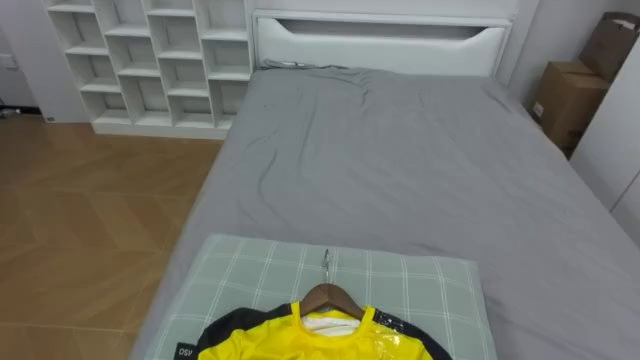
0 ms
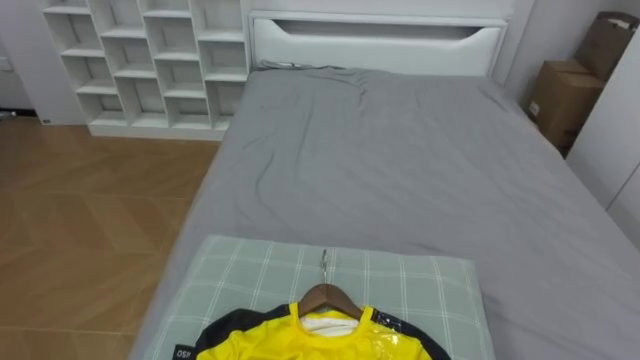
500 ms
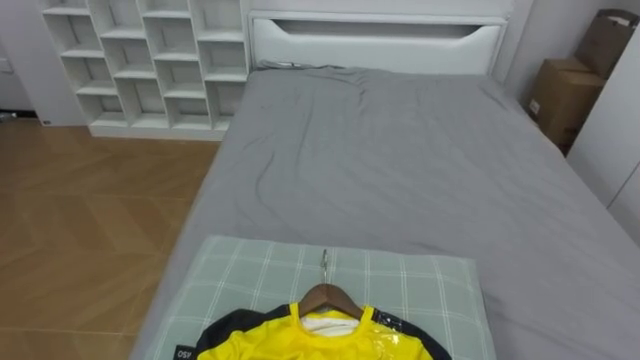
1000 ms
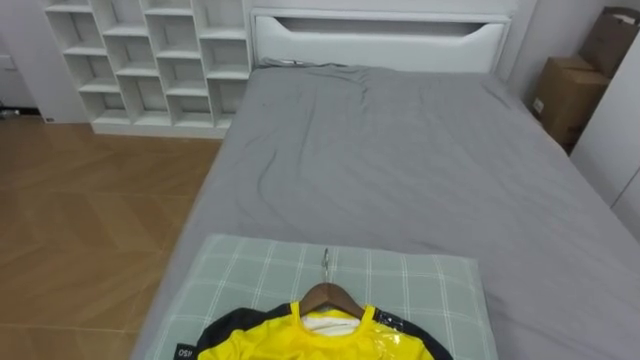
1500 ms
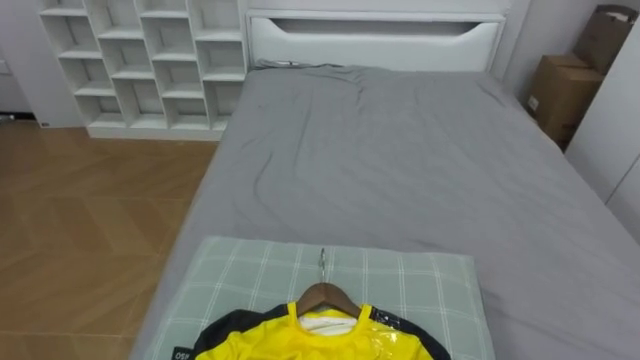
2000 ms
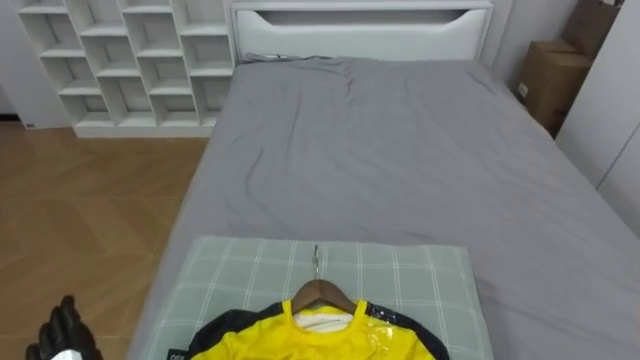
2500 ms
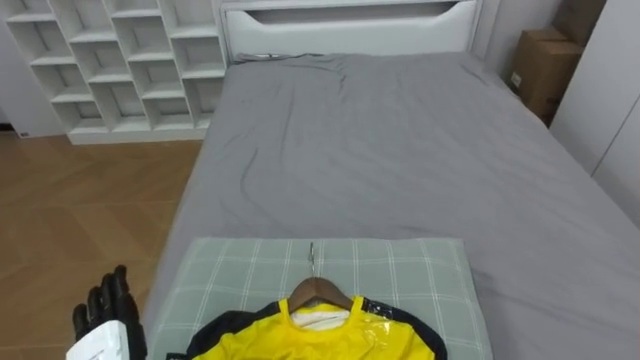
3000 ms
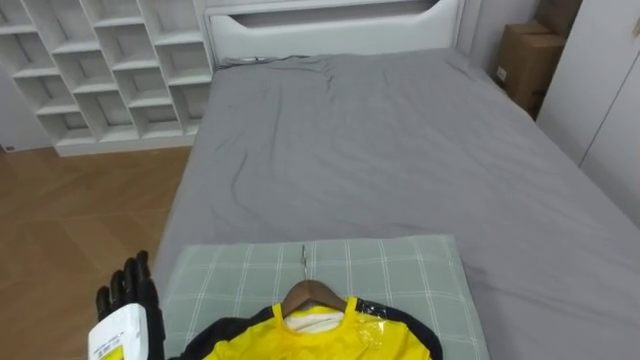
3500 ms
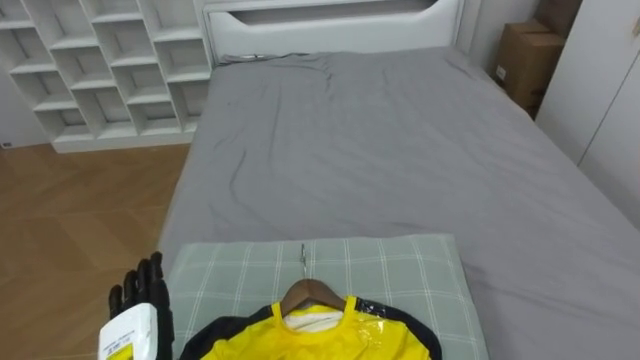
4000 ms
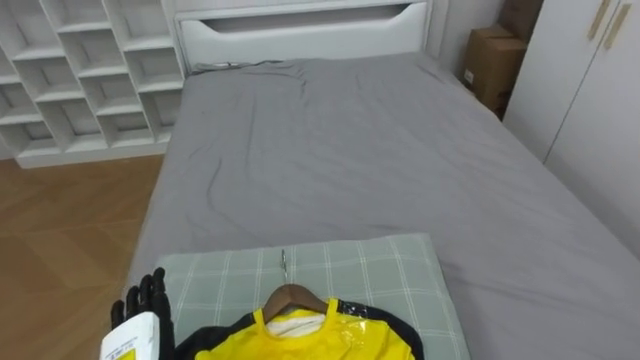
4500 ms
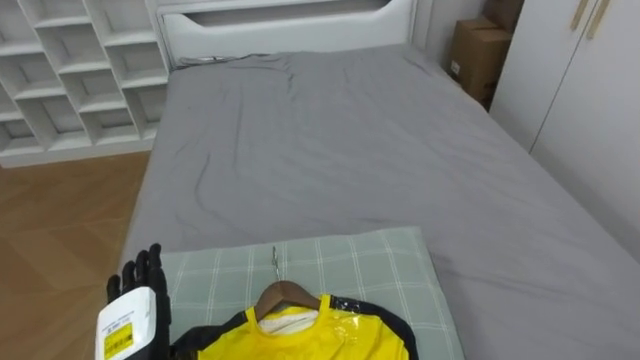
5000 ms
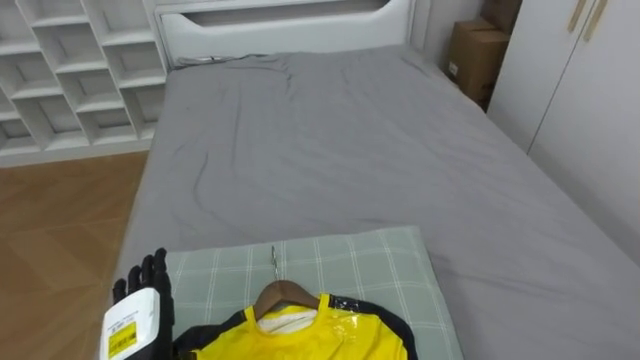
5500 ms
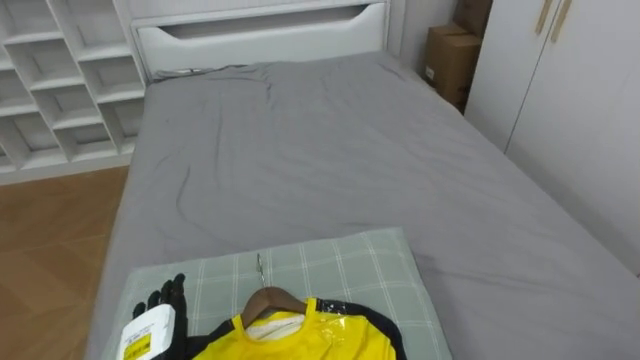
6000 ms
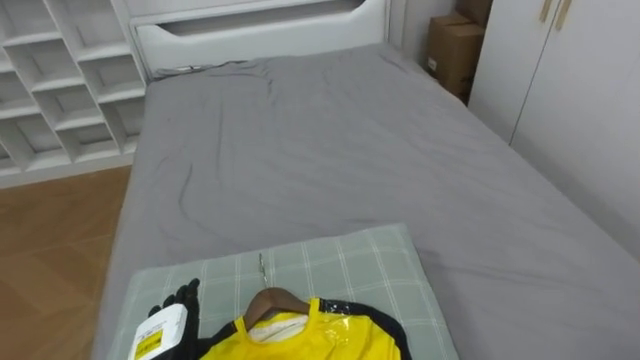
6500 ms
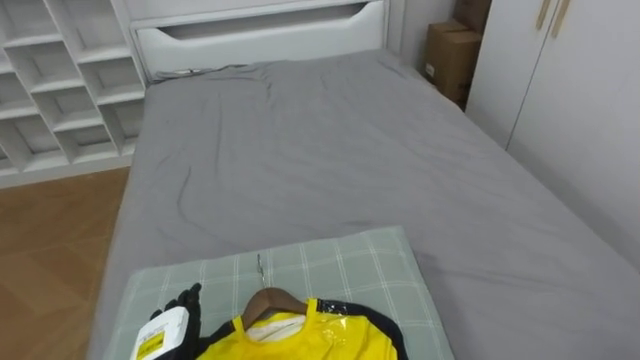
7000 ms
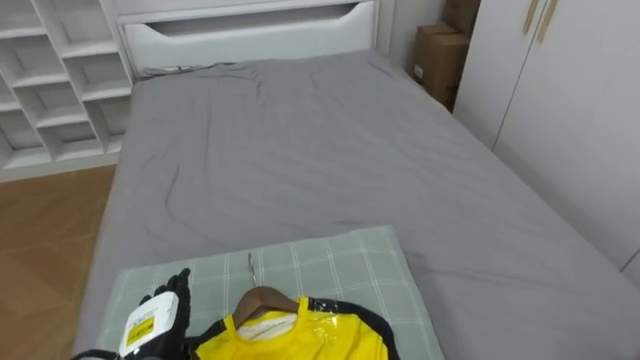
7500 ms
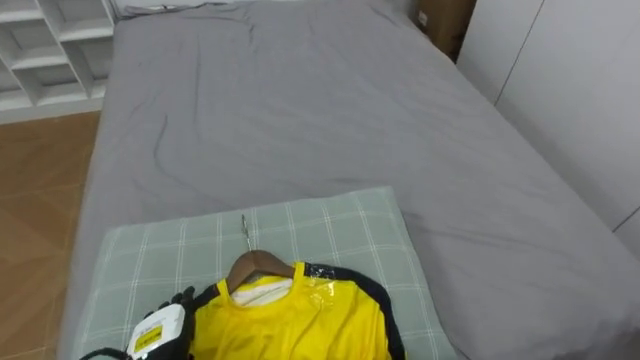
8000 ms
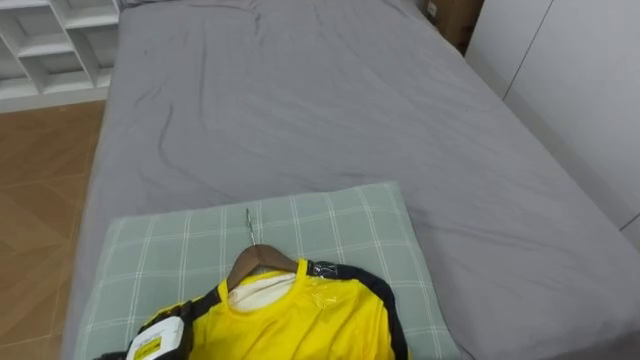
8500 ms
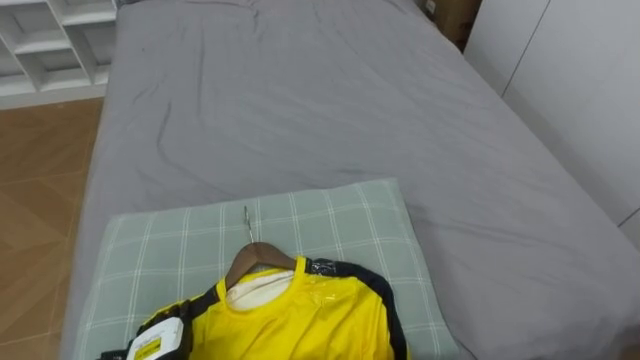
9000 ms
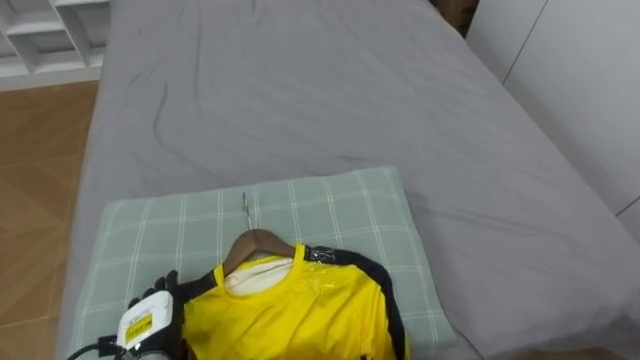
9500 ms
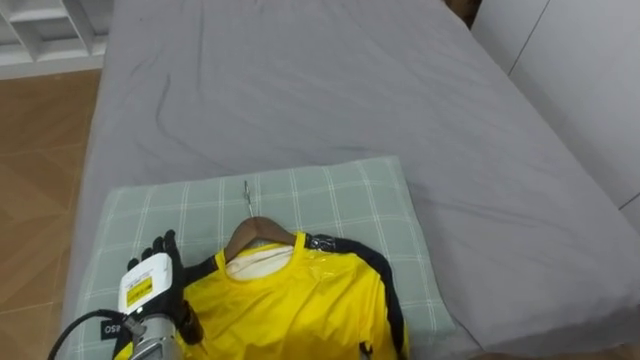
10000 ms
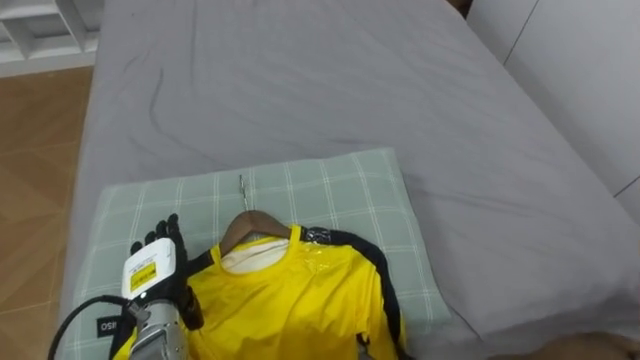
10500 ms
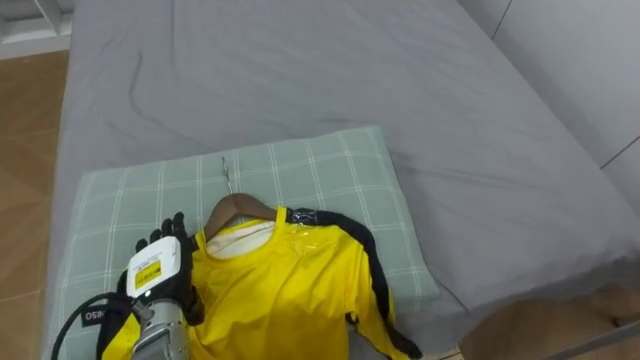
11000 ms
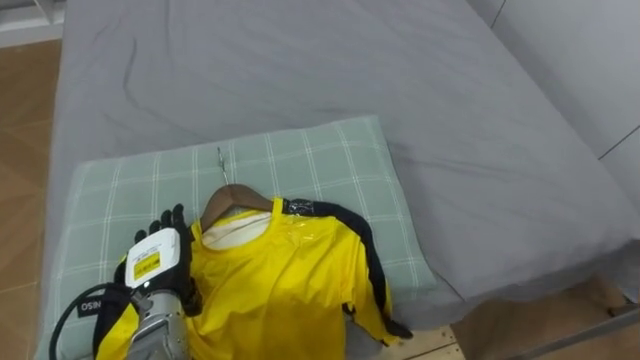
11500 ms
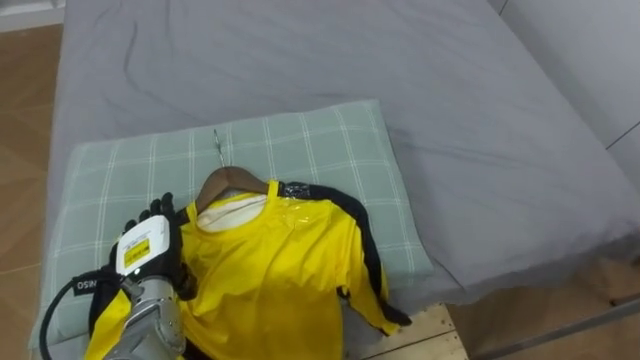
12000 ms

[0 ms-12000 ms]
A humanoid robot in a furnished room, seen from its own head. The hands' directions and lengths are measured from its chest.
Task of the whole recording: Pick up the yellow shirt on the bed and hang it on the clothes rack on the right.
8000 ms to 10000 ms: The left hand moves approximately 5 cm.
10000 ms to 12000 ms: The left hand ends up roughly 5 cm from where it was.

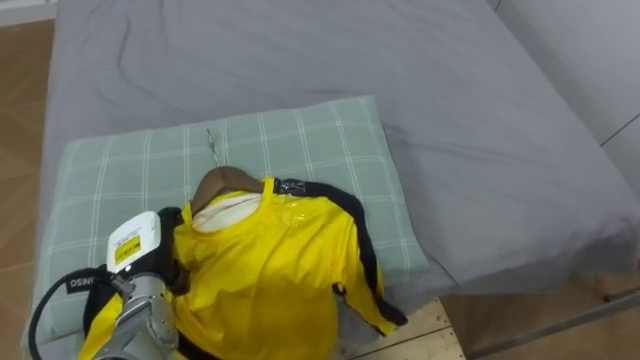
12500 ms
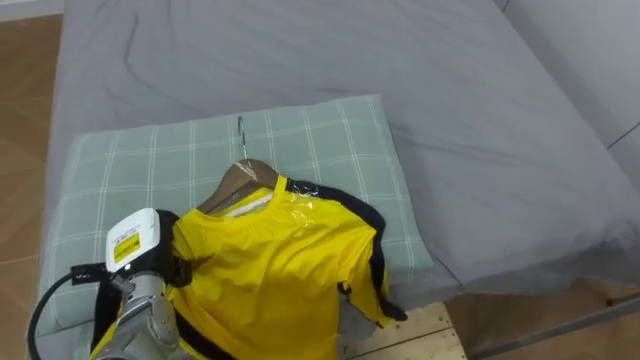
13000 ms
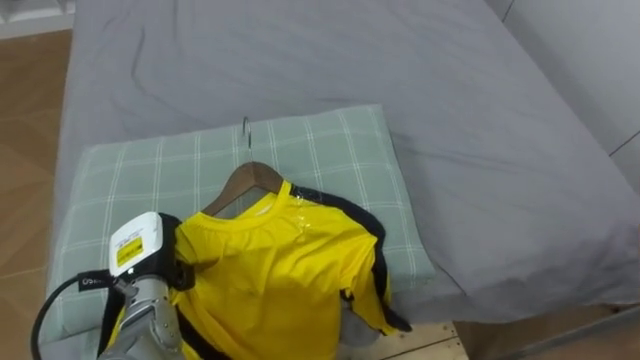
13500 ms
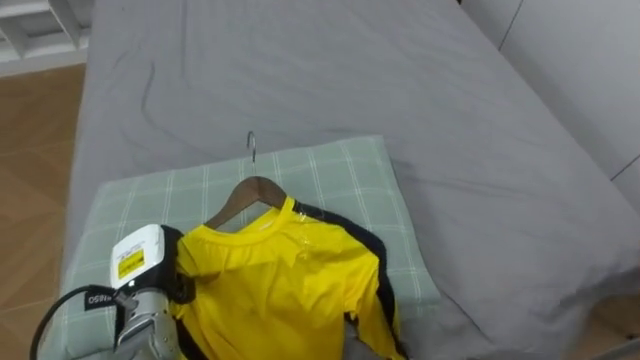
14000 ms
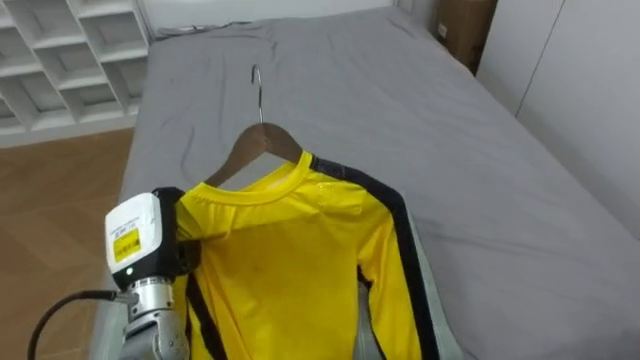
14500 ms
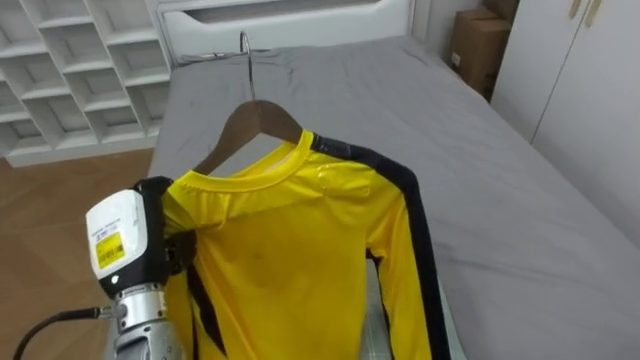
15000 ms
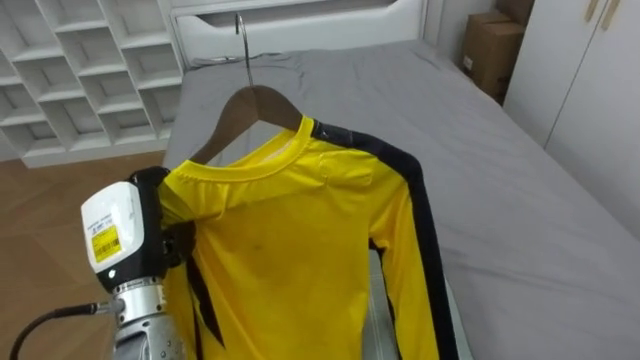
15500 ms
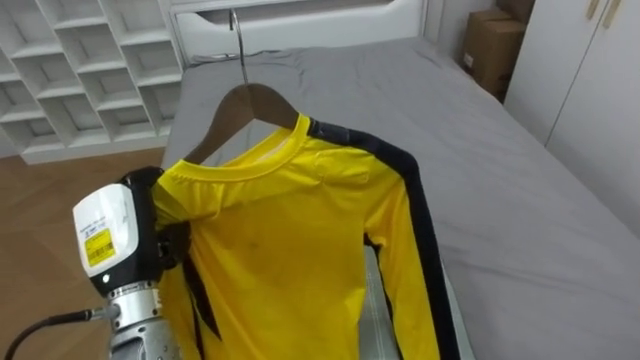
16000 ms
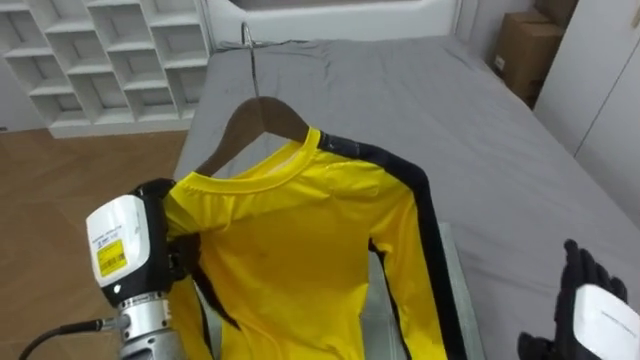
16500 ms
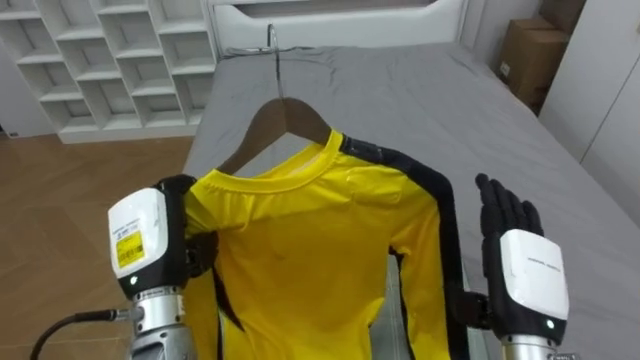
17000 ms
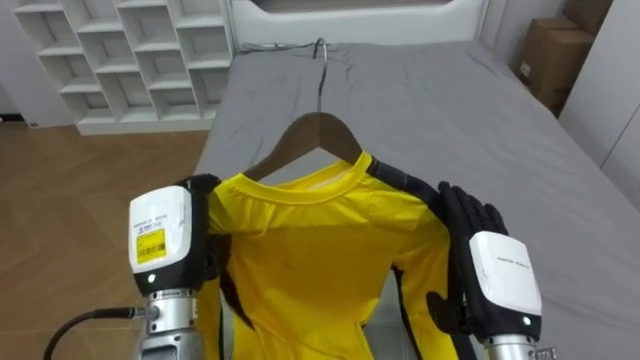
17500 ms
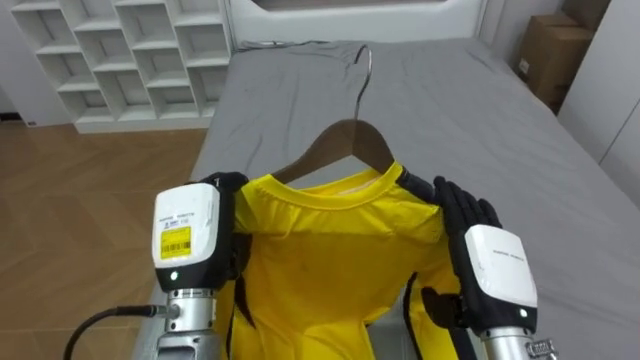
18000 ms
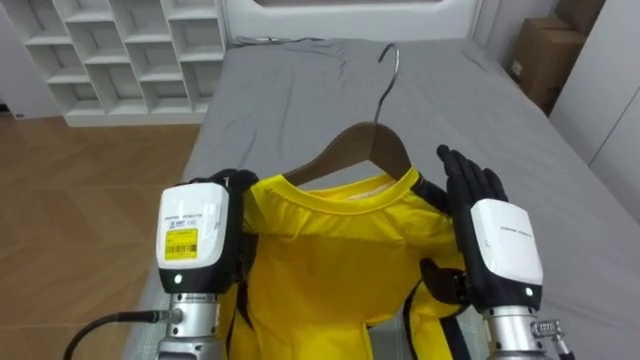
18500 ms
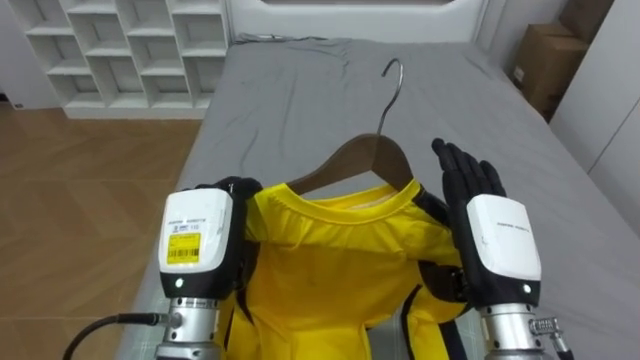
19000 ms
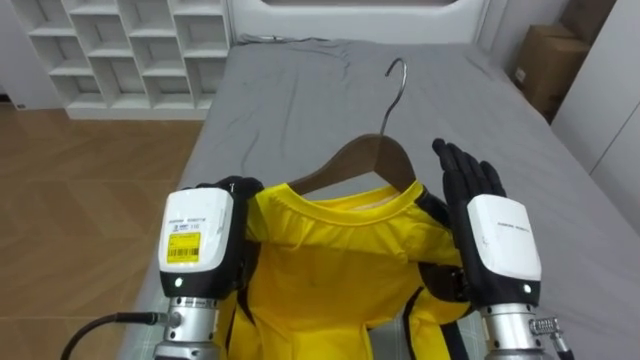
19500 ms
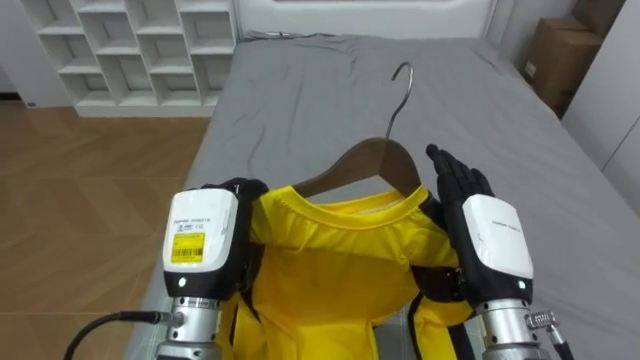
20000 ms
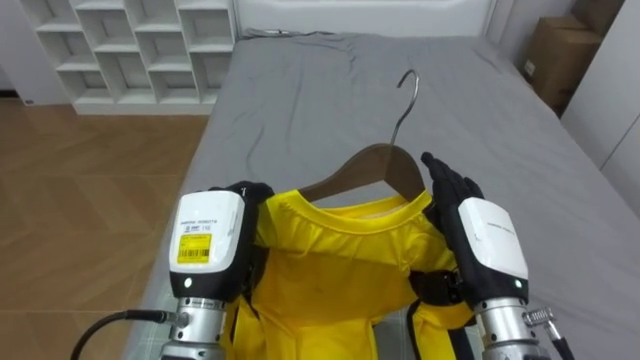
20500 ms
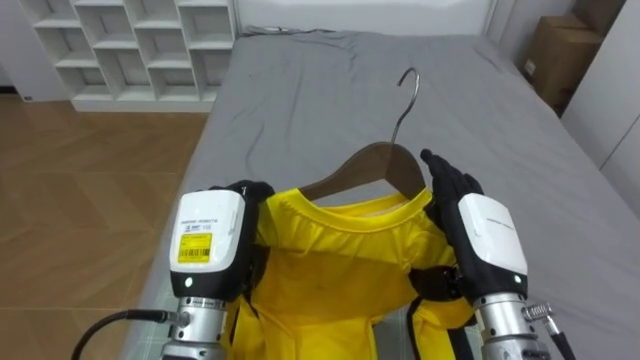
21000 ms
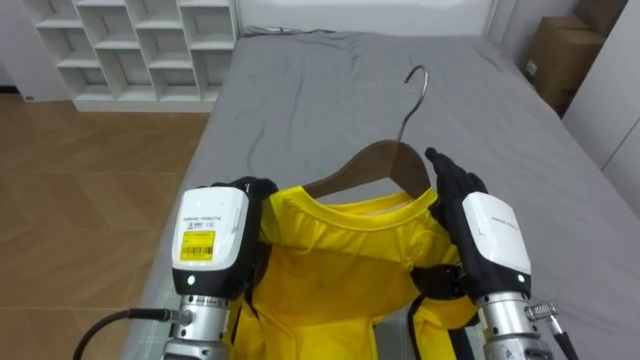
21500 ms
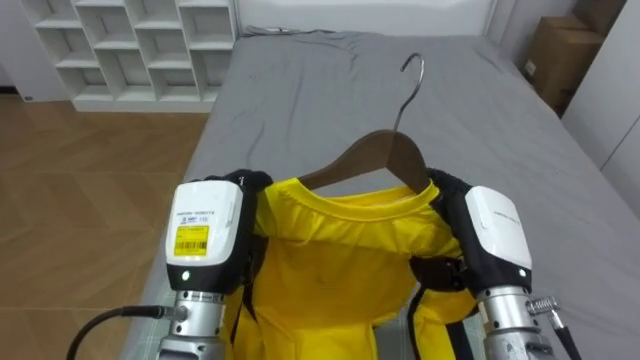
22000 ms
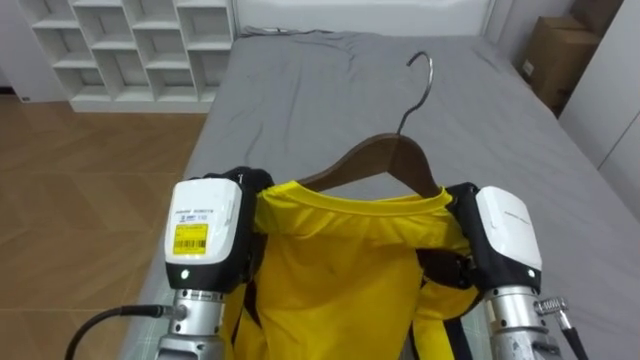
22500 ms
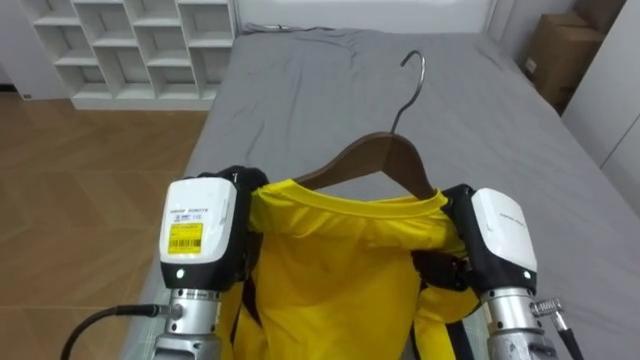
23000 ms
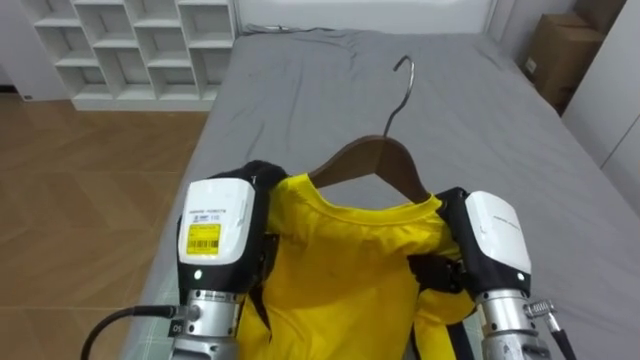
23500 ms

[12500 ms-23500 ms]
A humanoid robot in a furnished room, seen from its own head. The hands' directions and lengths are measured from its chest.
Task of the whole recording: Pick up the yellow shirt on the bed and hang it on the clothes rack on the right.
12500 ms to 14500 ms: The left hand changes place by roughly 5 cm, and closes up.
14500 ms to 16000 ms: The left hand shifts by approximately 5 cm.
16000 ms to 18000 ms: The left hand is displaced to the right by some 10 cm.
20000 ms to 21500 ms: Both hands stay put.
21500 ms to 23500 ms: The left hand opens its fingers. The right hand closes up.
